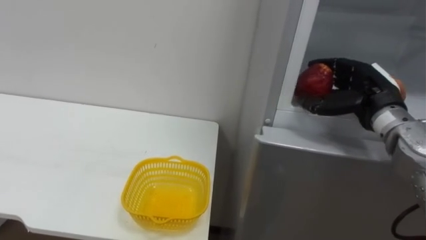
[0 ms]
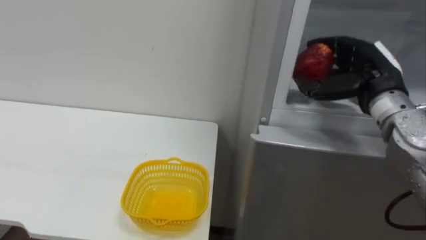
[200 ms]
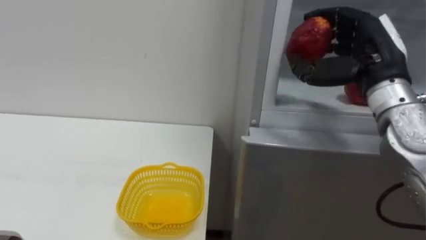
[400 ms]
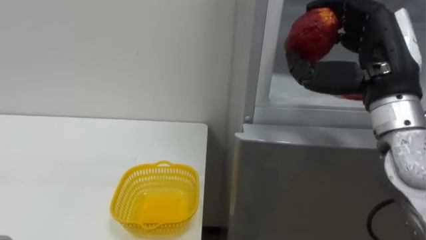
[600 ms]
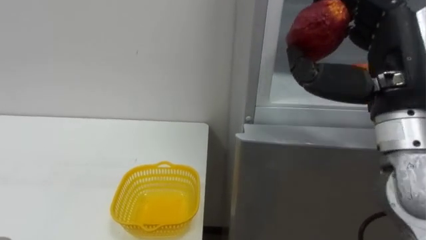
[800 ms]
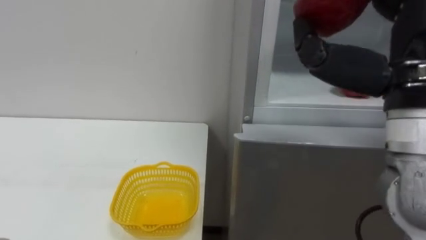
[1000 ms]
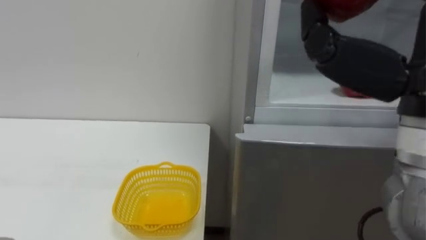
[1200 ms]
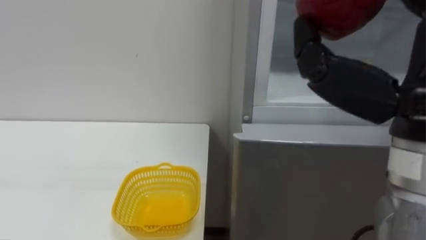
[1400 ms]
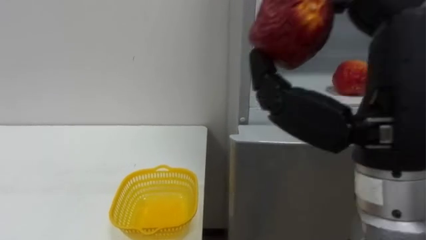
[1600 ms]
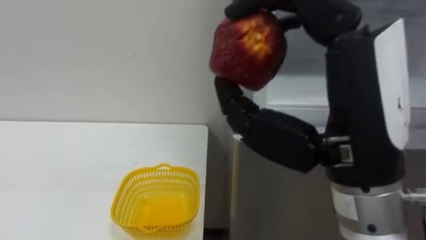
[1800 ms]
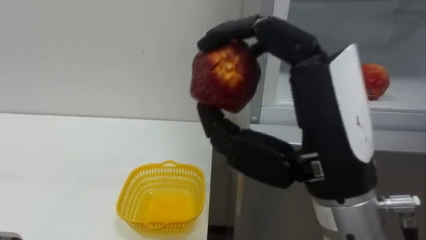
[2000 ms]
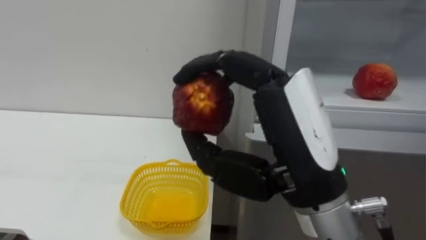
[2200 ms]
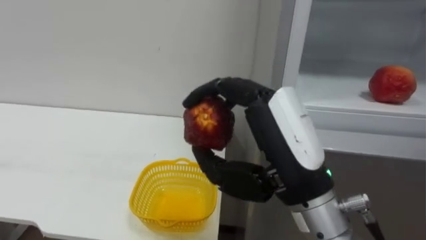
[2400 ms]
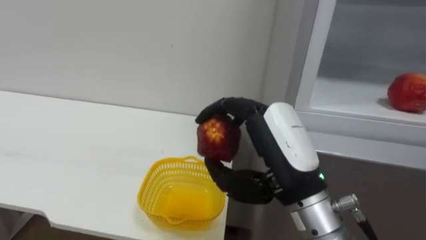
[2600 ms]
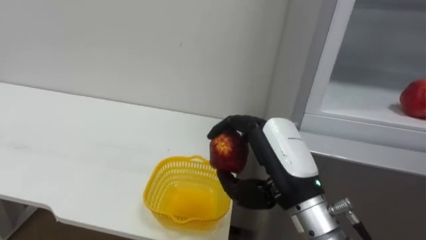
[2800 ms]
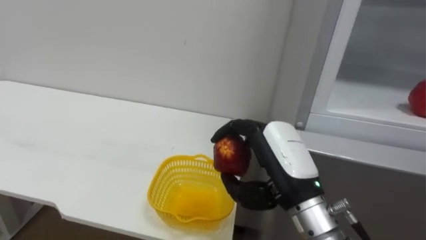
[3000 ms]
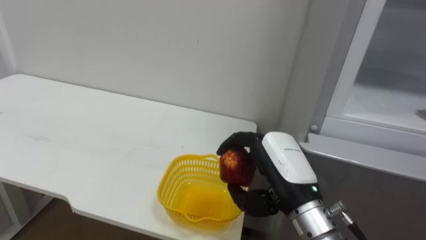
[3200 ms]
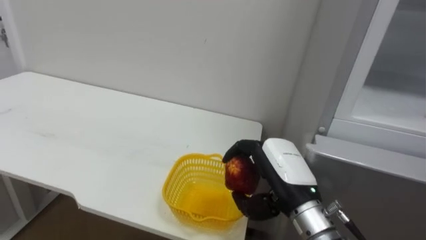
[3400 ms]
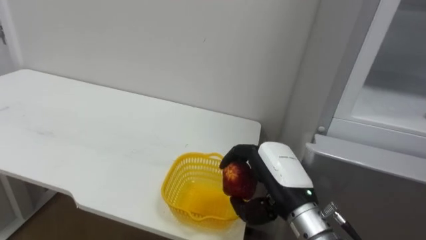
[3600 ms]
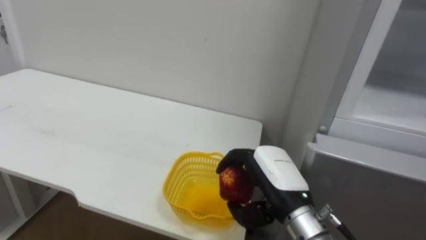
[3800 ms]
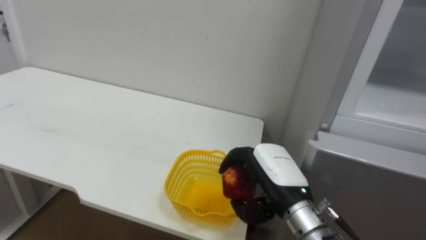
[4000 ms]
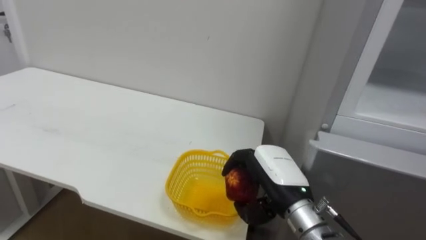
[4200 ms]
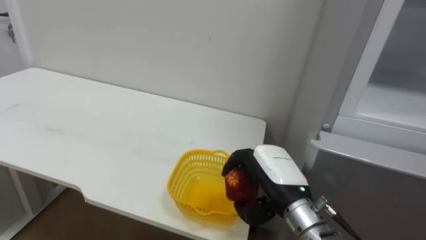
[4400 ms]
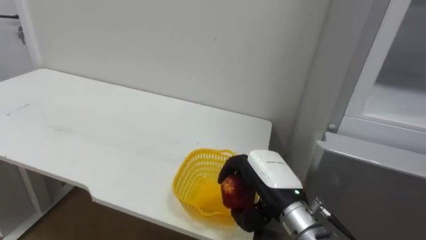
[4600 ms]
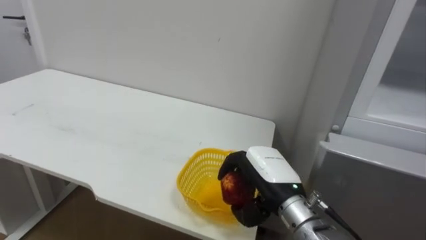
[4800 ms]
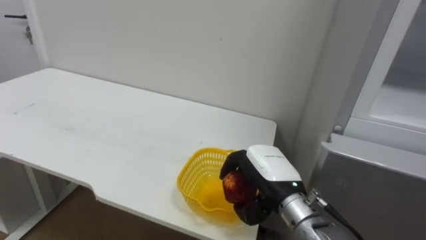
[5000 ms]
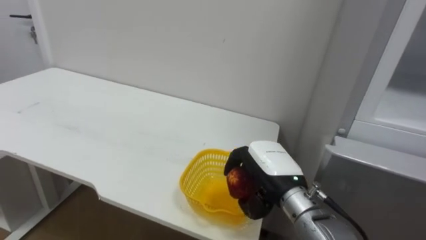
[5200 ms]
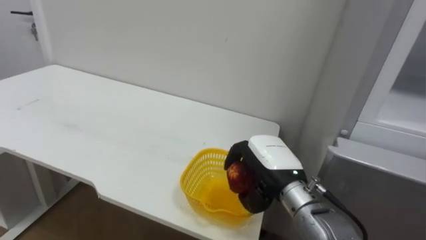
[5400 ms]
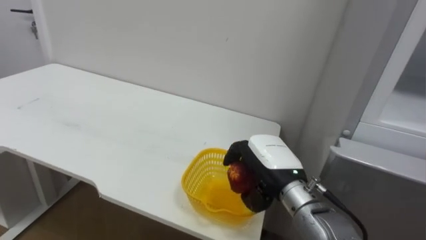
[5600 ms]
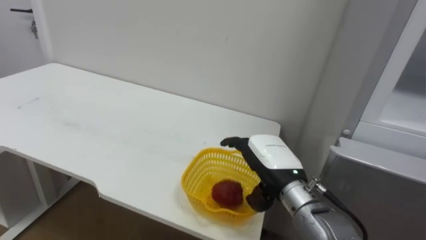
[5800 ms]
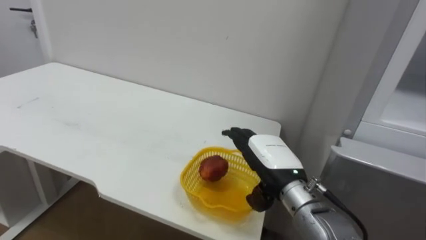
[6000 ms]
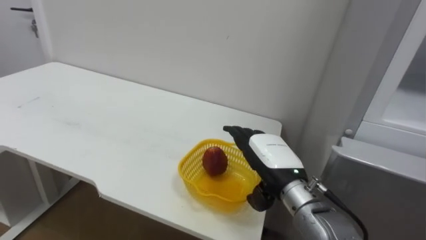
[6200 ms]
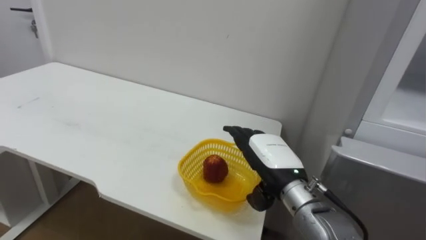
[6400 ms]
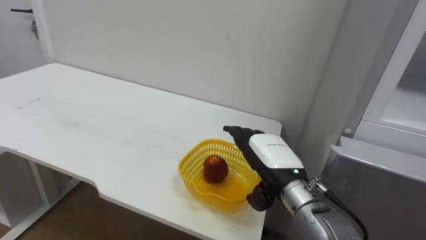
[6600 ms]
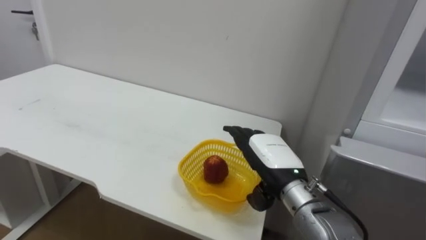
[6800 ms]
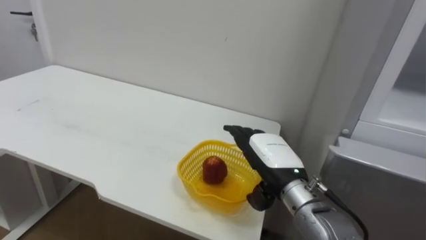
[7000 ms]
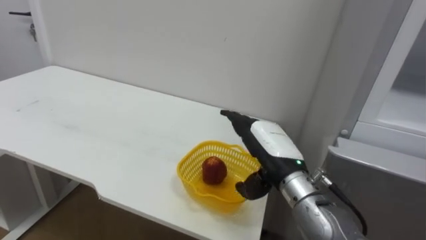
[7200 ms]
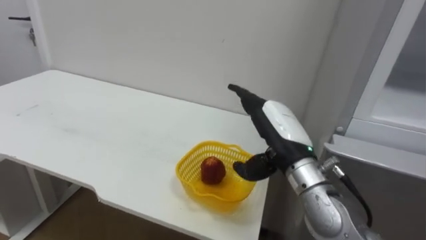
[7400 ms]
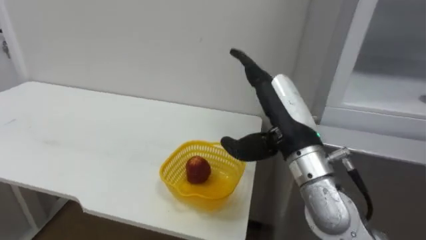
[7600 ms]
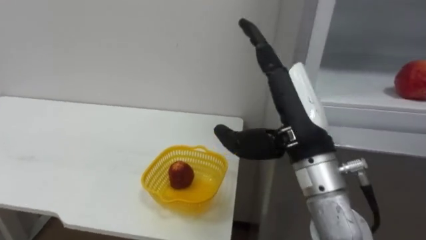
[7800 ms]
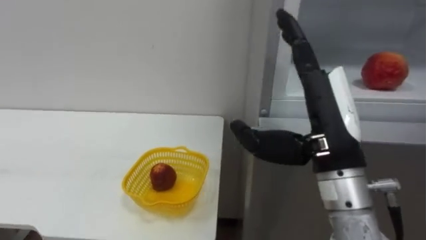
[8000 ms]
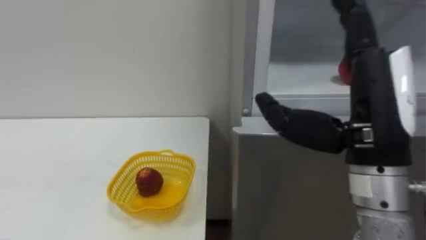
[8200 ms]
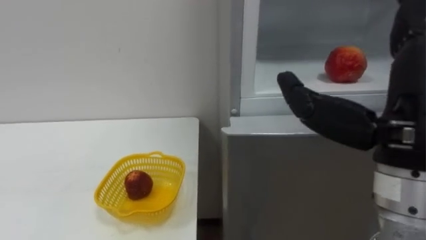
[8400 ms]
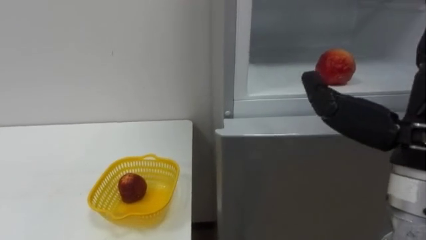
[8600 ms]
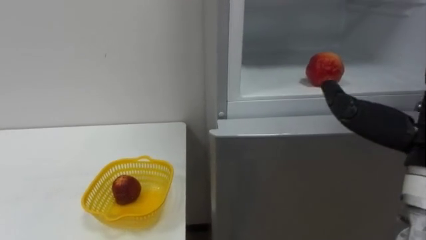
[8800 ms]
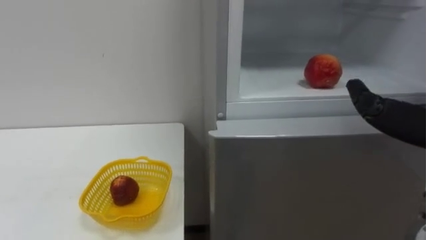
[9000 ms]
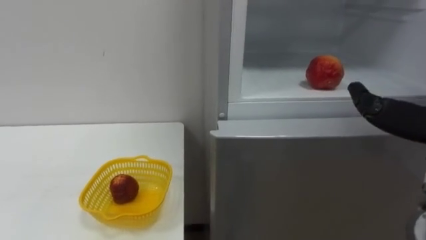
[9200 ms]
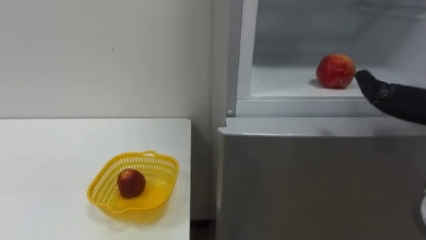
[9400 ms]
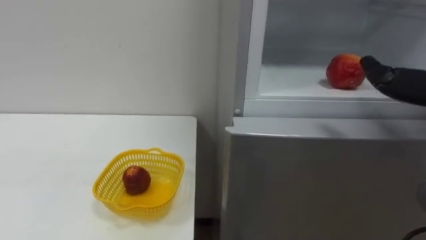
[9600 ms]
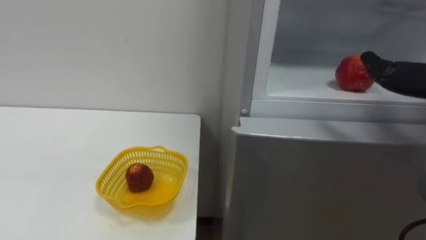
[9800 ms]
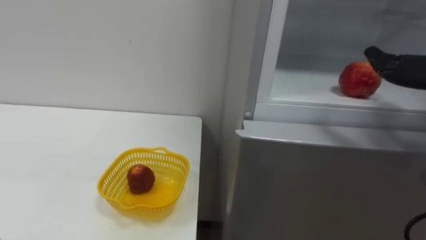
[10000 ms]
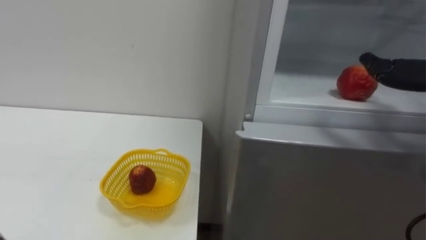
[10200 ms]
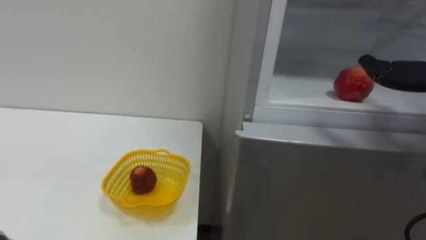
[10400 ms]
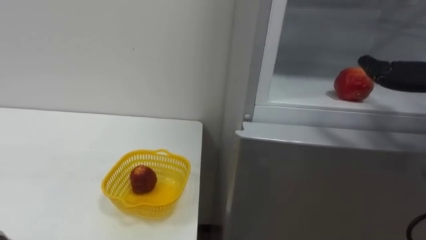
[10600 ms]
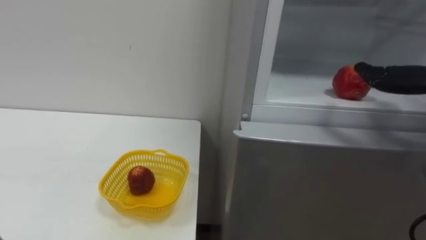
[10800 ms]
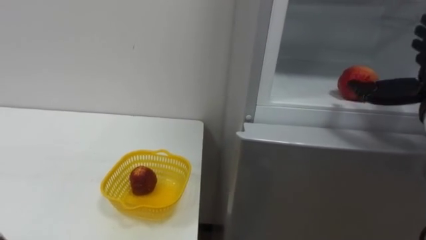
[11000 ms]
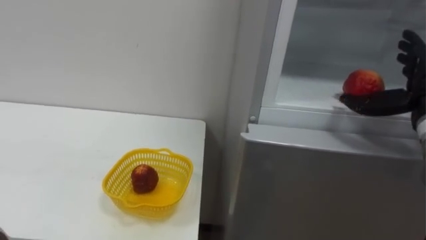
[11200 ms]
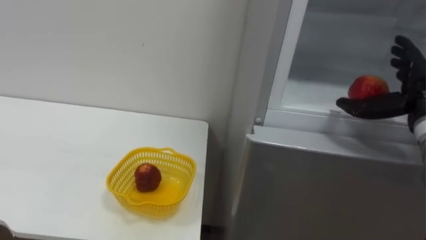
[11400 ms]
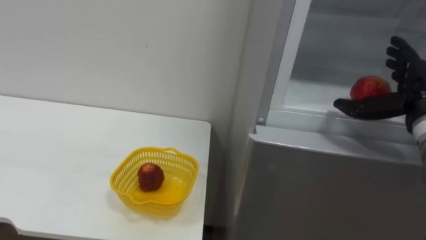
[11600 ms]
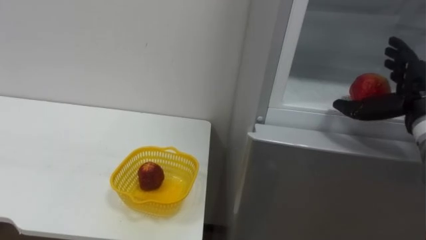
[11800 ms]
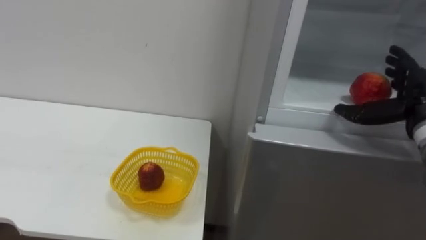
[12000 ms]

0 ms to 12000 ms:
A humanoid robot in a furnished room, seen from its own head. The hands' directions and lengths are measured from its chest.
Task of the whole recording: Open the refrigerator door, take out the apple and the pomegranate, place them in the fruit basket on the left, and close the refrigerator door.
0 ms to 1600 ms: The right hand is displaced backward, upward and to the left by some 25 cm.
1600 ms to 3000 ms: The right hand travels downward and forward by approximately 15 cm.
3000 ms to 4400 ms: The right hand goes roughly 5 cm downward.
4400 ms to 6000 ms: The right hand opens up.
6000 ms to 7600 ms: The right hand is displaced upward by roughly 10 cm.

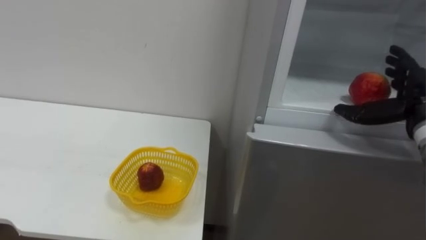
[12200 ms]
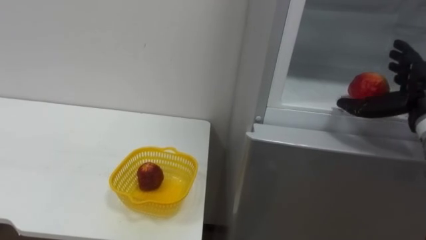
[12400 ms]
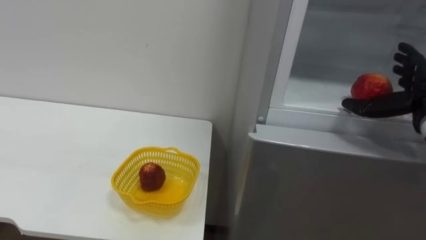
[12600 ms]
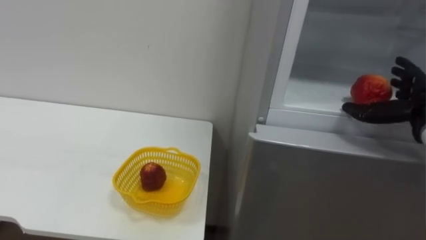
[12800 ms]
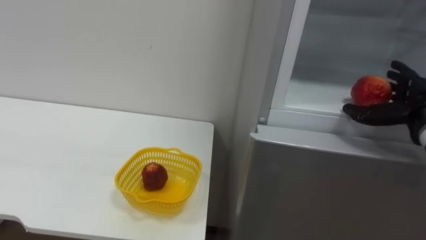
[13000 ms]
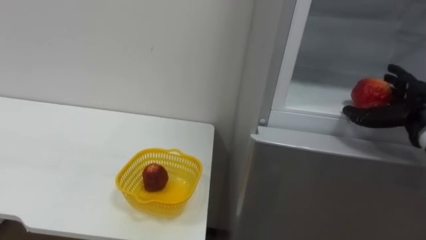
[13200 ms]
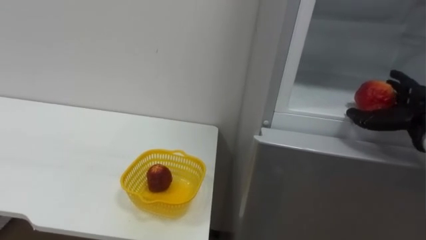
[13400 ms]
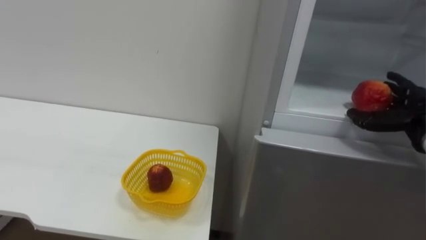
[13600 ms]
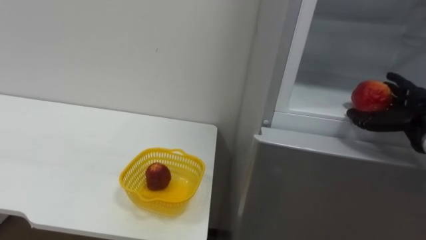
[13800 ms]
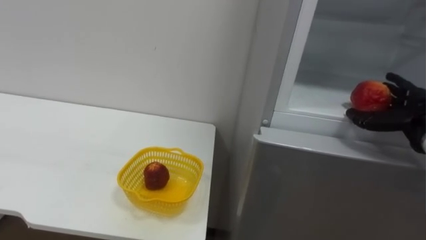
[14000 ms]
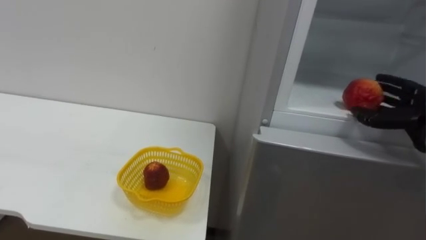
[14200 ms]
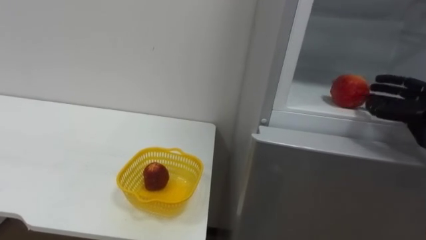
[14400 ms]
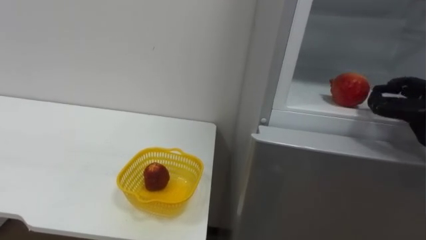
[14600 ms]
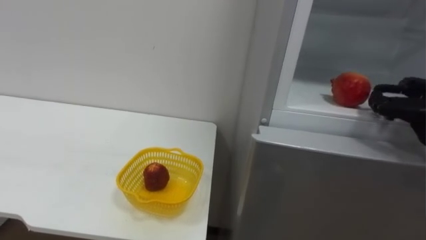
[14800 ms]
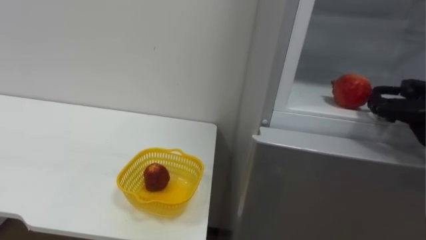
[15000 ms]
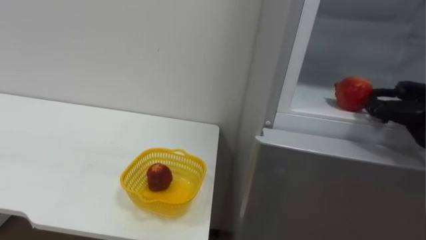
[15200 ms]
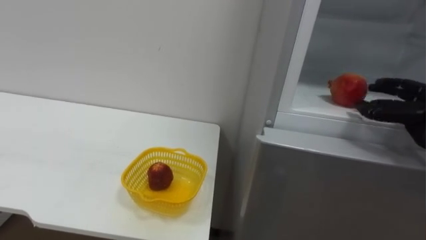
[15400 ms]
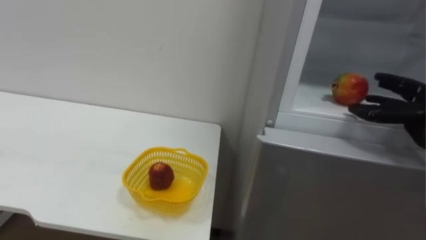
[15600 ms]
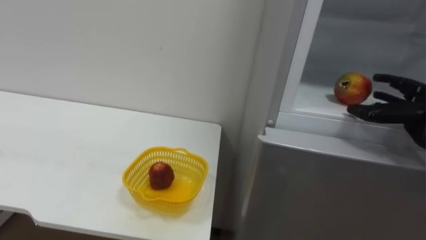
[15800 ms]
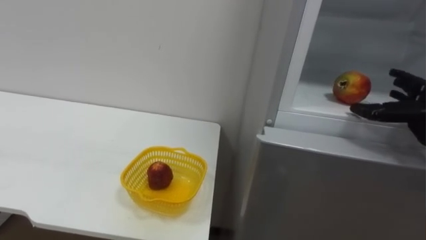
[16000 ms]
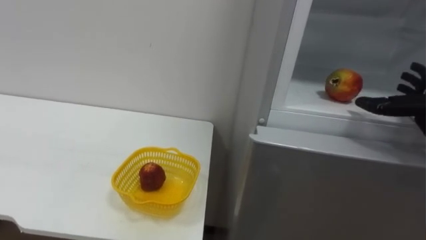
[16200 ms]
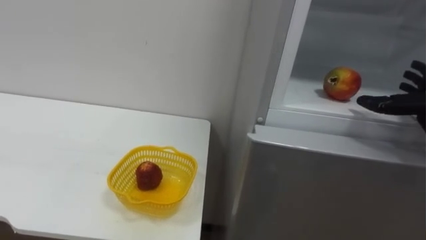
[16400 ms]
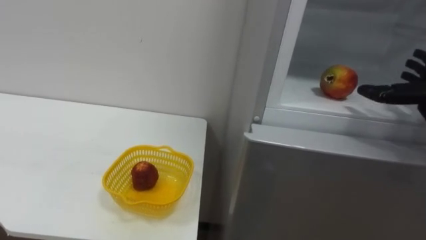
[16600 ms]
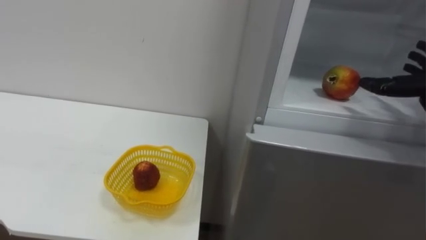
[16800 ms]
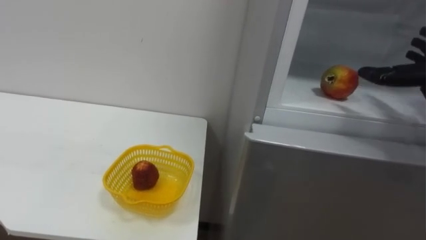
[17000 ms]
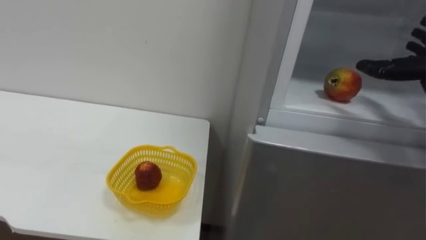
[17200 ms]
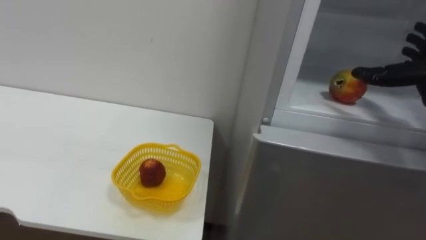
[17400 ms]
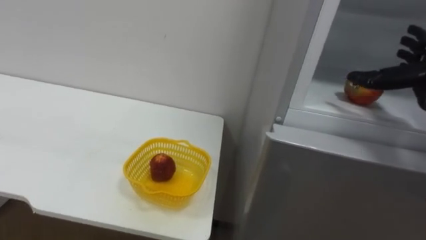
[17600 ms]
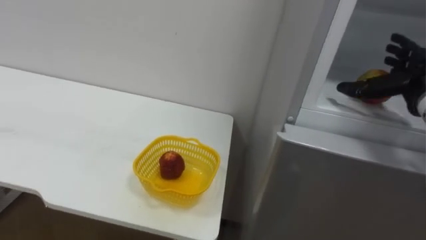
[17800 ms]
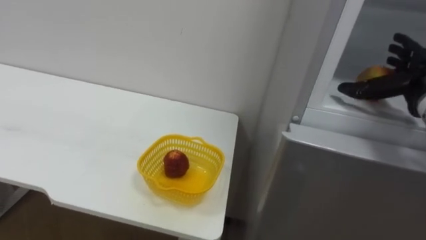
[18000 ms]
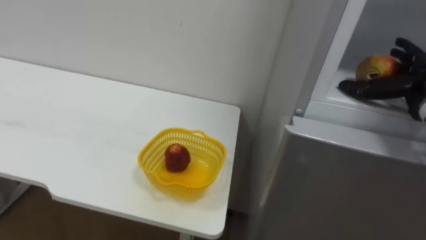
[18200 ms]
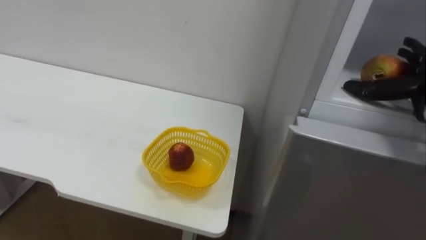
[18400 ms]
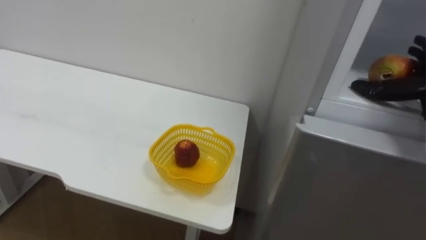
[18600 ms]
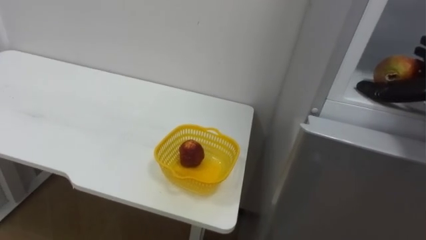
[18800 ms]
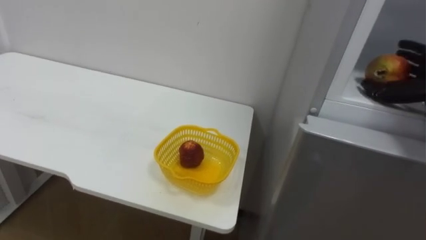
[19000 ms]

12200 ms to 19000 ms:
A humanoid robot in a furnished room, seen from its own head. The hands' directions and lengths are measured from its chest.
Task of the whole recording: Open the refrigerator door, take out the apple and the pomegranate, place them in the fruit basket on the left, and close the refrigerator door.
13600 ms to 15000 ms: The right hand closes up.
